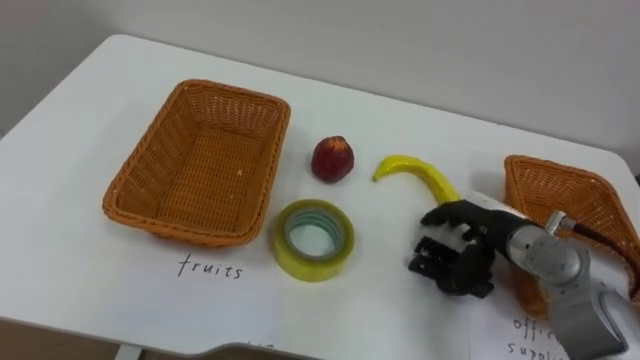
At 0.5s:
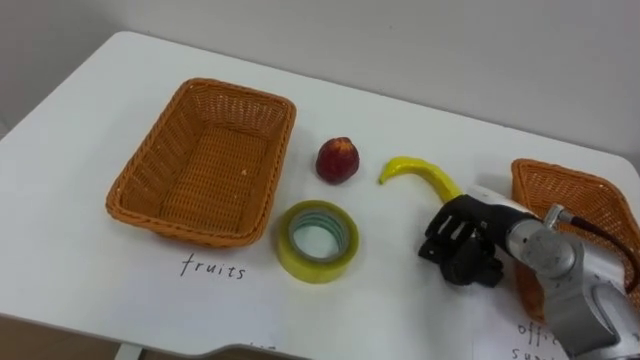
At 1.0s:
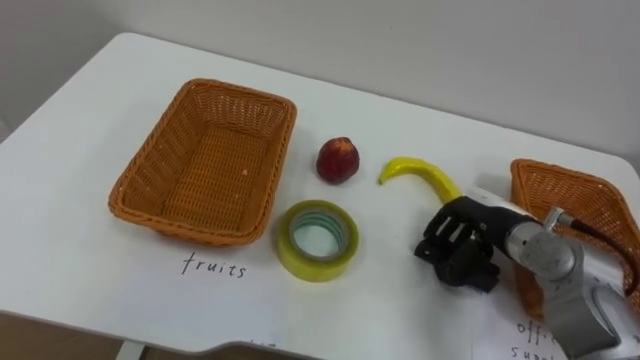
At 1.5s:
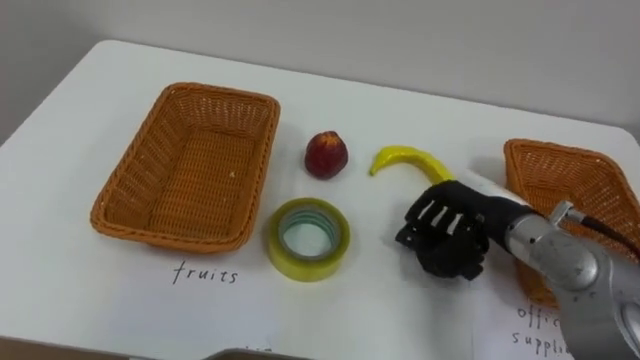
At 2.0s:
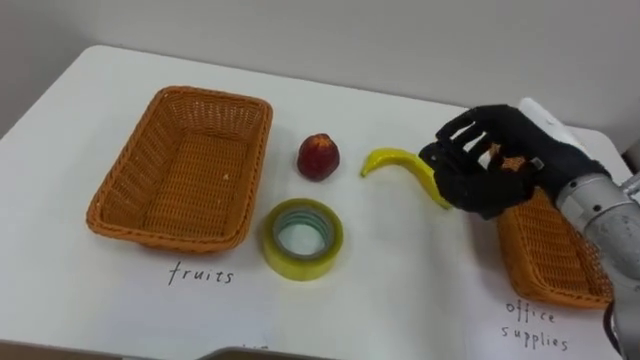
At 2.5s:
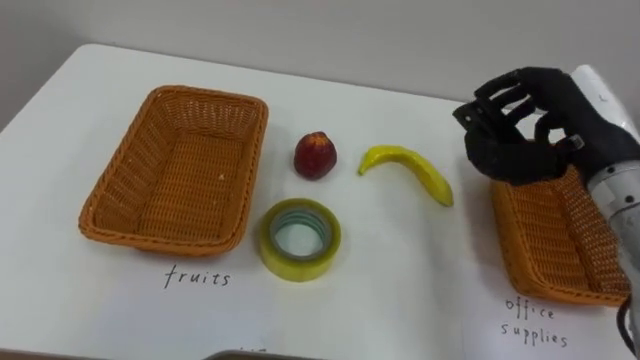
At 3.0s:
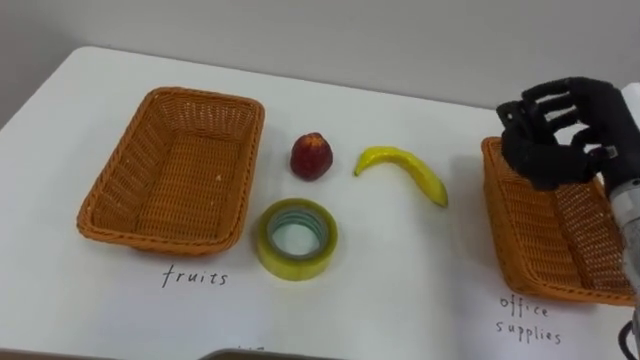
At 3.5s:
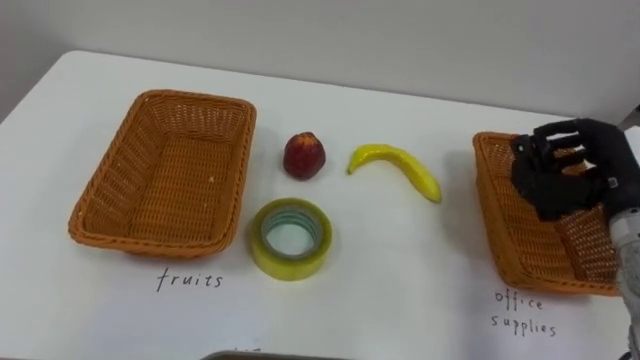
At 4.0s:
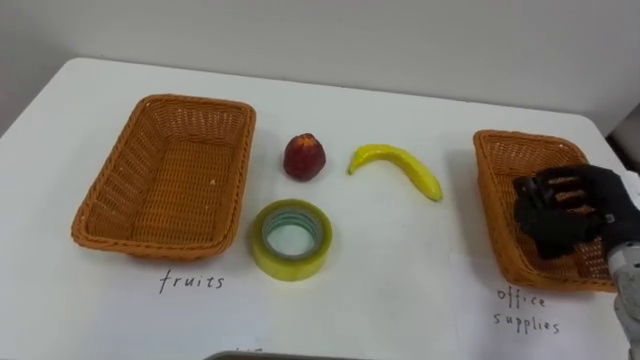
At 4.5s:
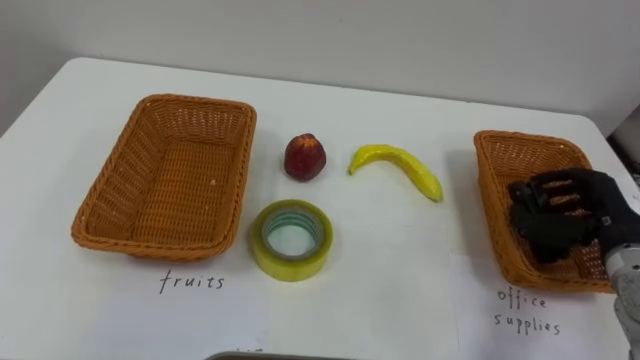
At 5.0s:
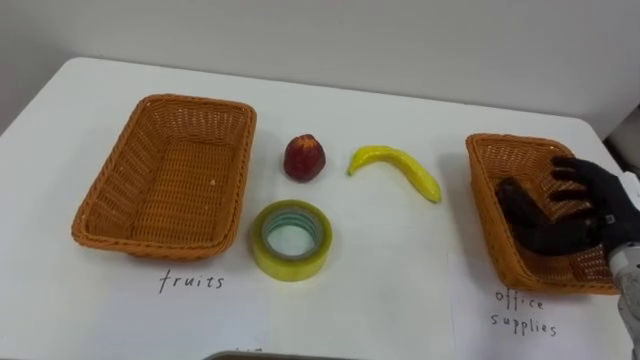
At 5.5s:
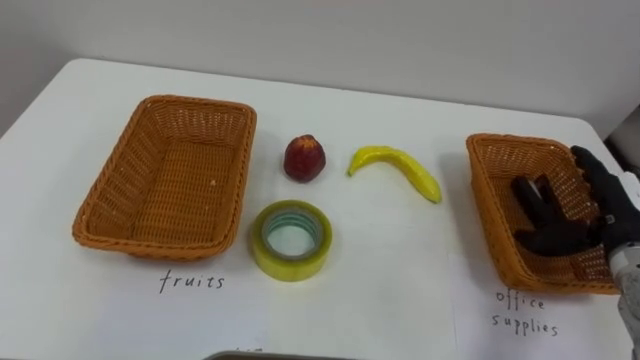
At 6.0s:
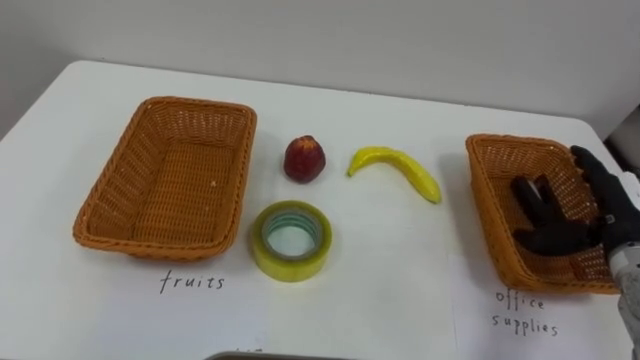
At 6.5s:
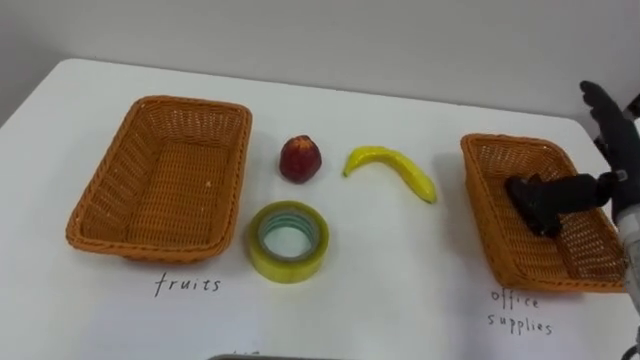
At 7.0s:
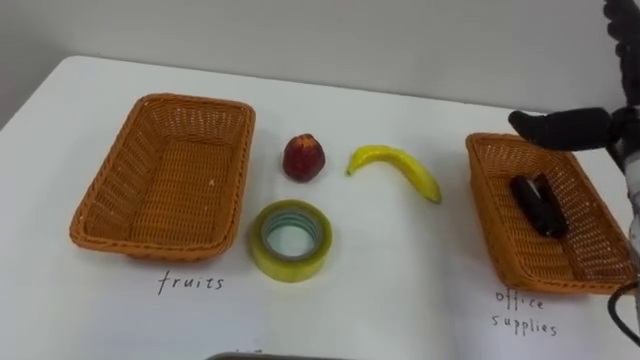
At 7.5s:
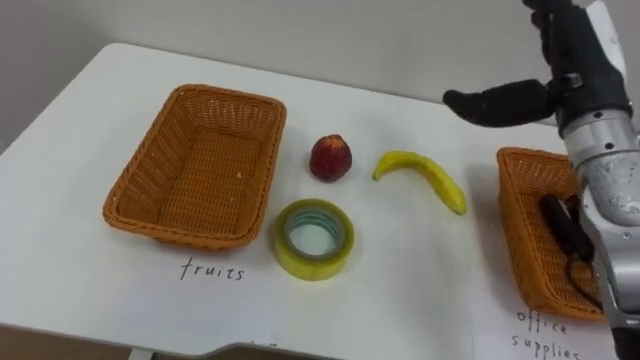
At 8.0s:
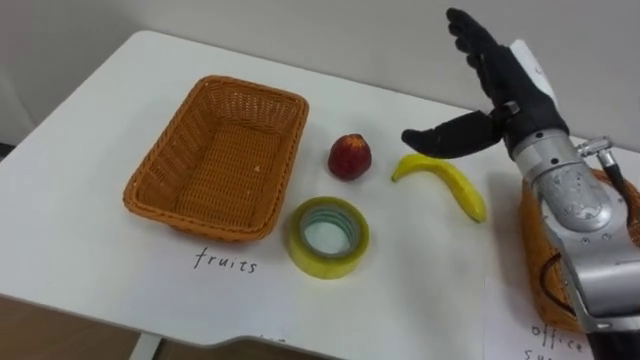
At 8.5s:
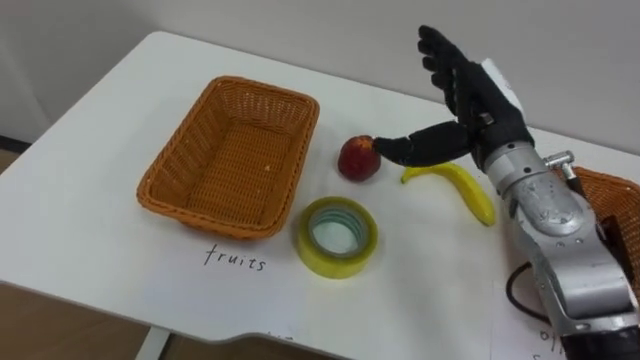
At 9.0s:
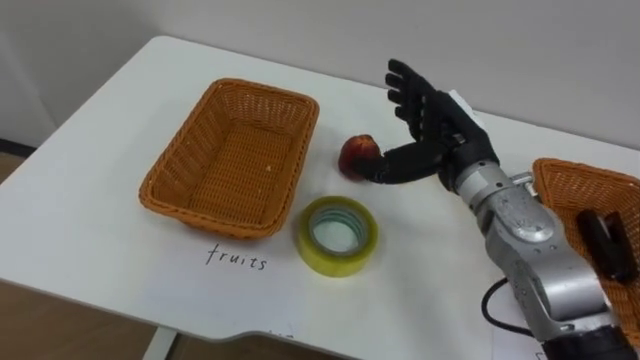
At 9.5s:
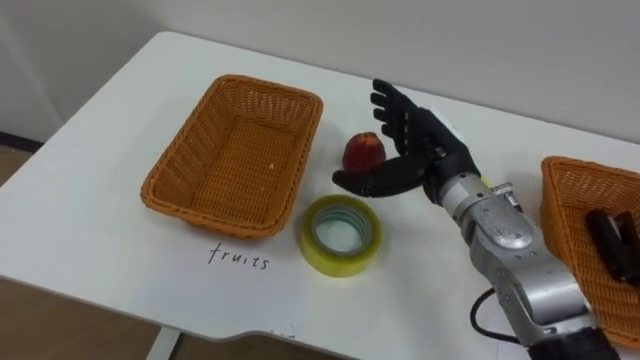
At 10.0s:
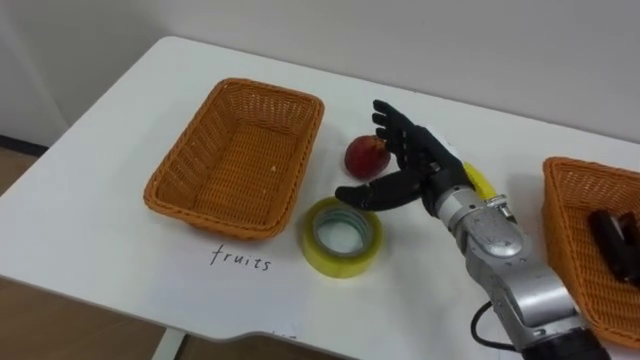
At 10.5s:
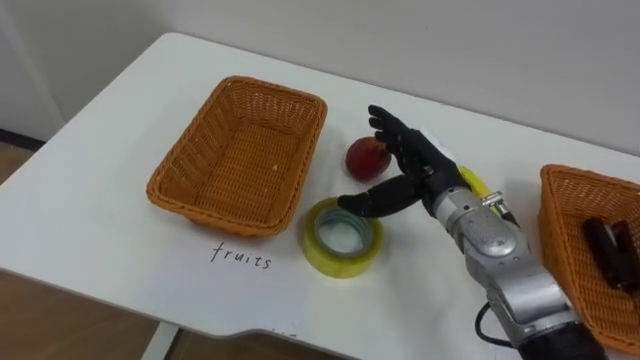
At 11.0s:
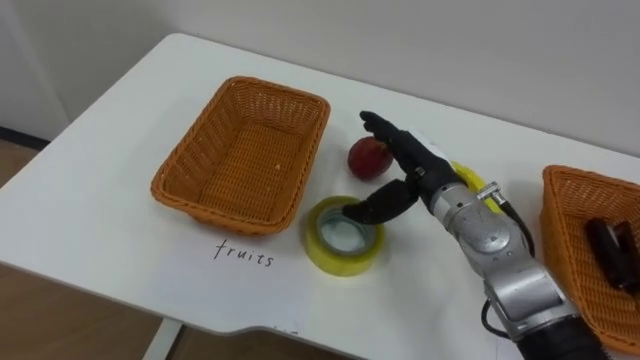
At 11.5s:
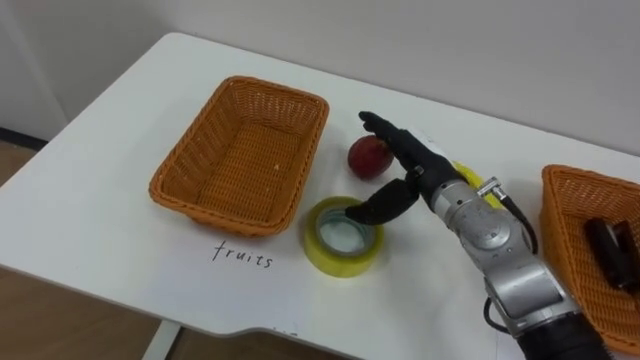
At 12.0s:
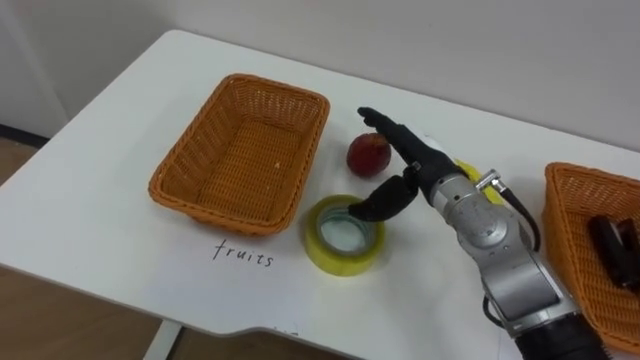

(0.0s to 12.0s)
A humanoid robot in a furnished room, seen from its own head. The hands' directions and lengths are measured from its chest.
Task of the whole recording: Separate the items on the table and place them into the two baskets.
0.0s - 2.0s: The right hand heads upward, covering roughly 15 cm, and closes its fingers.
2.0s - 4.0s: The right hand moves to the right and downward, about 15 cm.
4.0s - 6.0s: The right hand opens its fingers.
6.0s - 8.0s: The right hand moves to the left, upward and forward, roughly 20 cm.
8.0s - 10.0s: The right hand is displaced downward and to the left by about 10 cm.

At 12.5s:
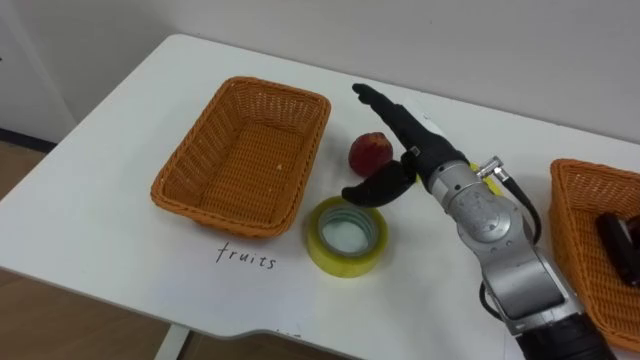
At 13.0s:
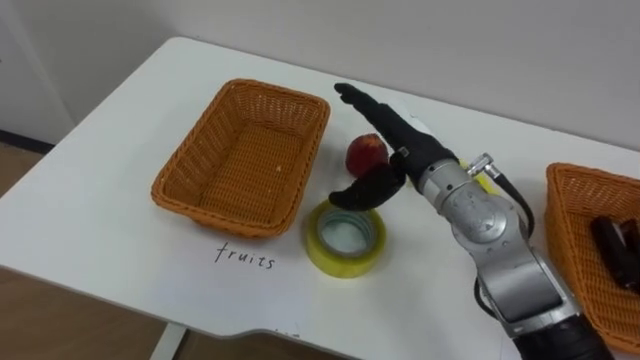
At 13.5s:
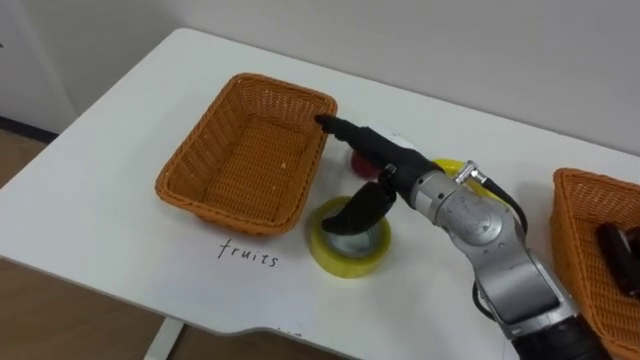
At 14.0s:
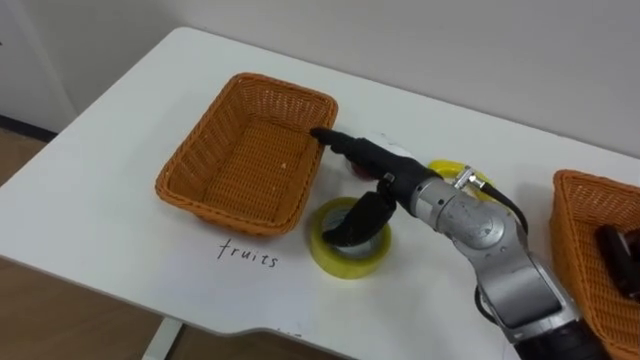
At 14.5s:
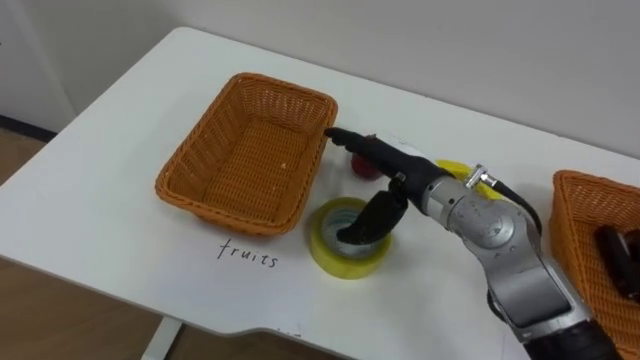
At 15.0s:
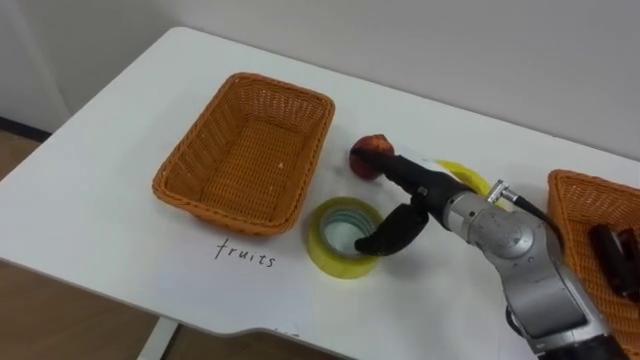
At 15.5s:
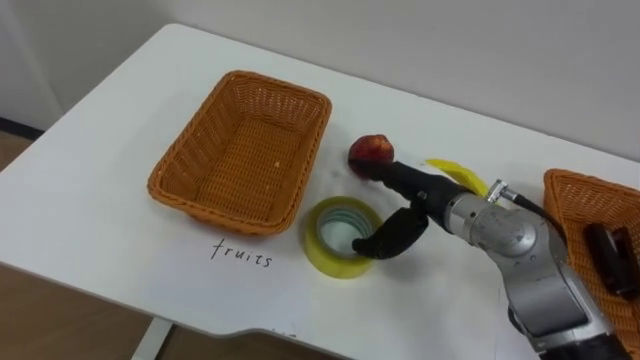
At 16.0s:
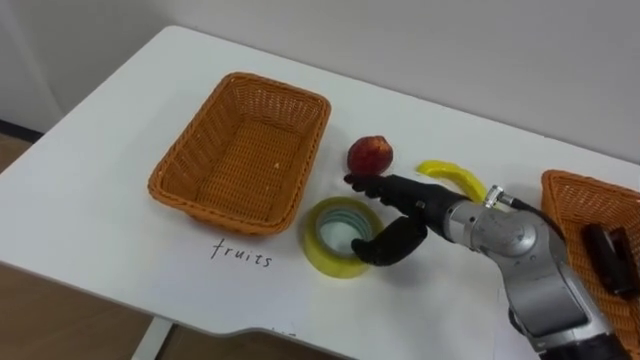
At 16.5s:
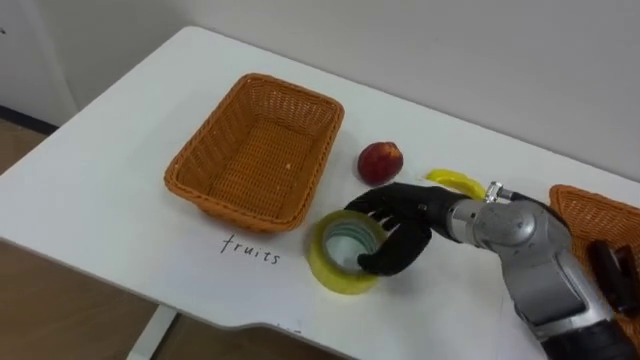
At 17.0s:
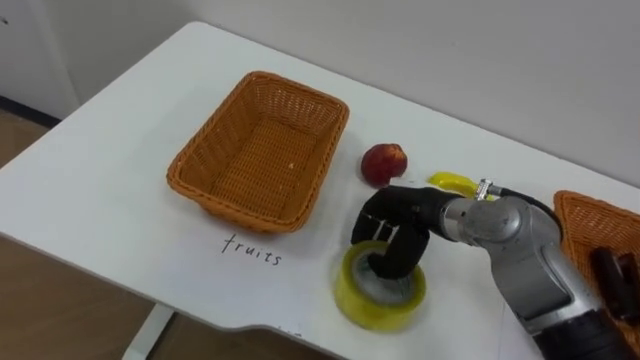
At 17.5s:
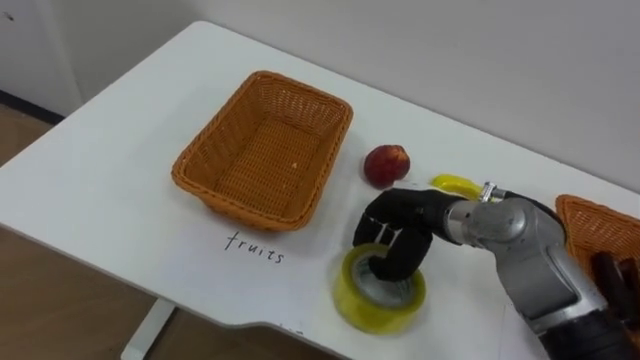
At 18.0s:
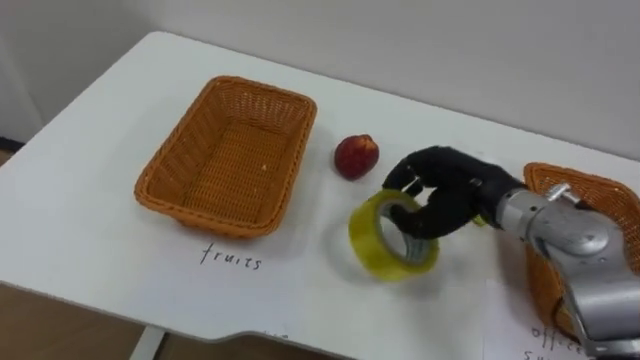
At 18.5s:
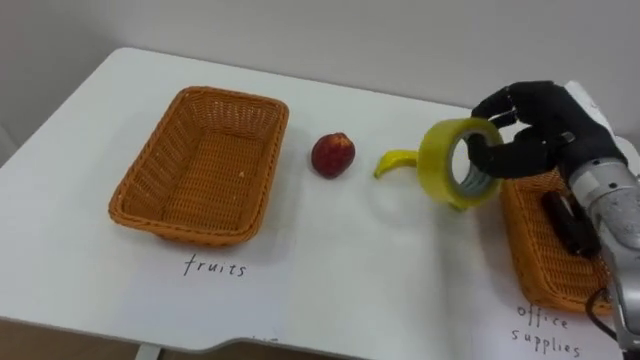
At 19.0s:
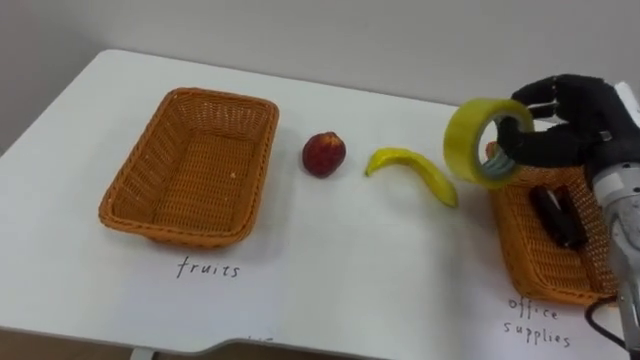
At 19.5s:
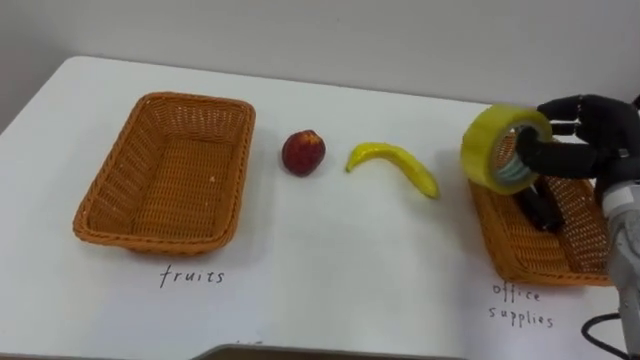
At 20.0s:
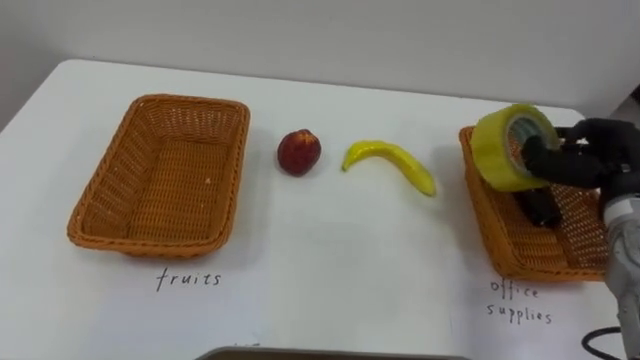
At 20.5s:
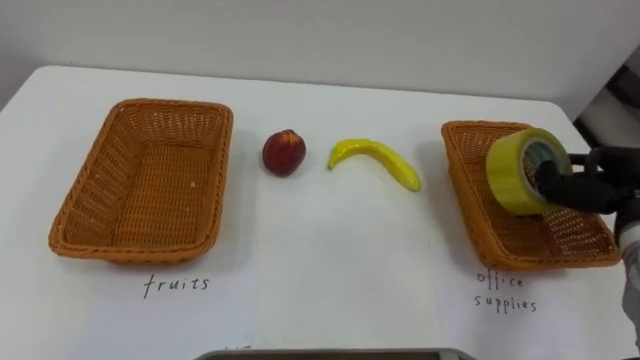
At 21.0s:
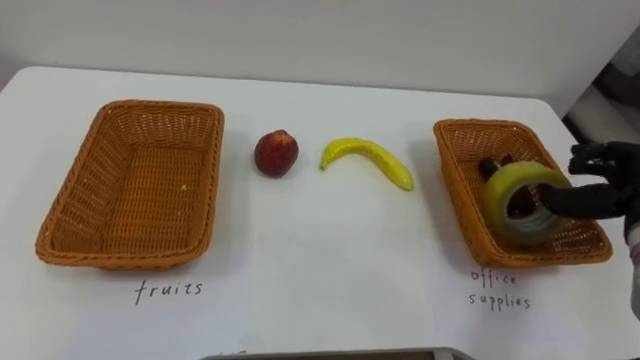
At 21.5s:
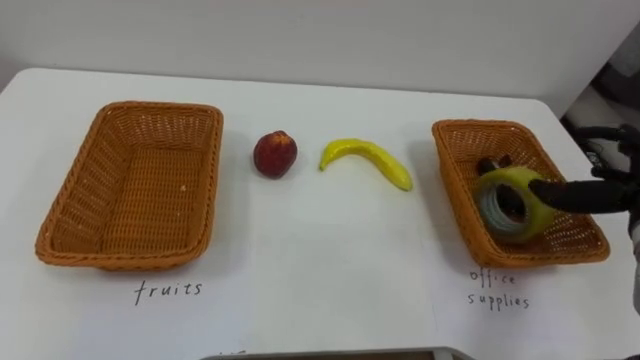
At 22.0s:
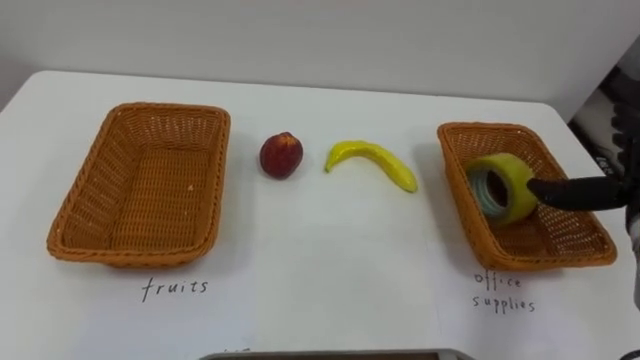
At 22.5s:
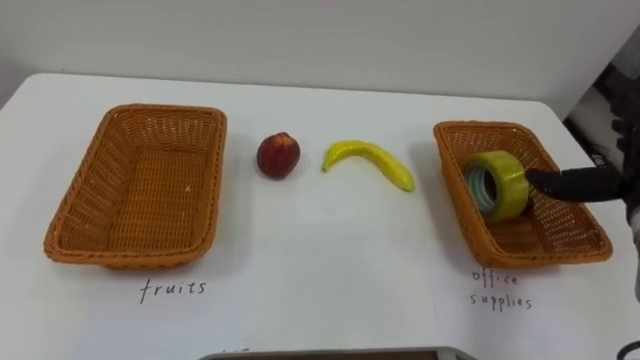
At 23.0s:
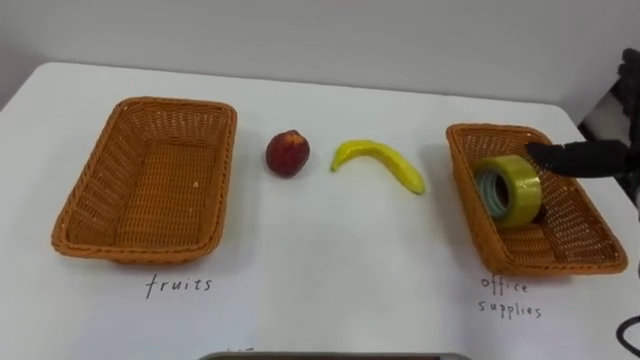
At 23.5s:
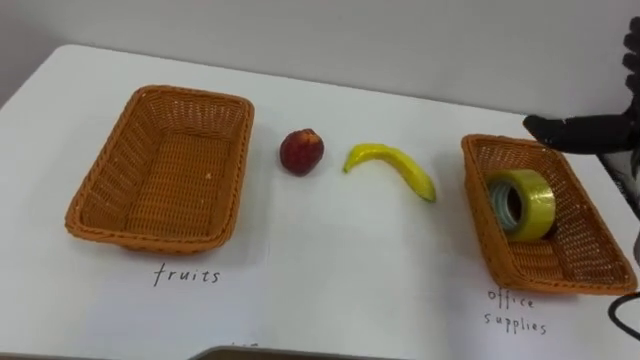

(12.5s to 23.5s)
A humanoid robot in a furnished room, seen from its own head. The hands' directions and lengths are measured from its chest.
Task of the whole recording: Separate the items on the table and place them into the two baskets.
14.5s - 16.0s: The right hand changes place by about 5 cm.
16.0s - 18.0s: The right hand goes some 5 cm to the right, and closes its fingers.
18.0s - 20.0s: The right hand moves to the right, about 15 cm.
